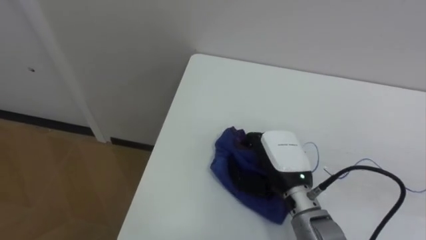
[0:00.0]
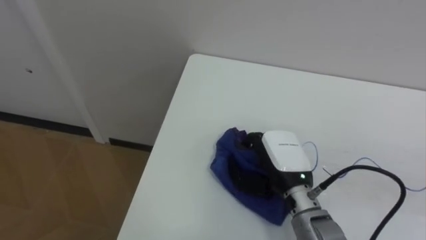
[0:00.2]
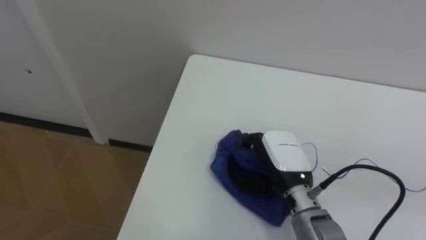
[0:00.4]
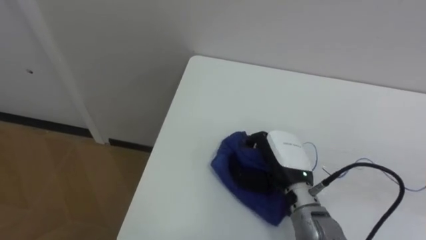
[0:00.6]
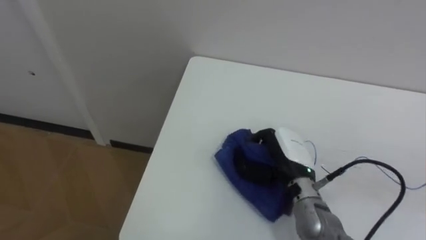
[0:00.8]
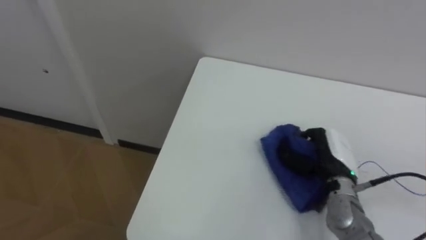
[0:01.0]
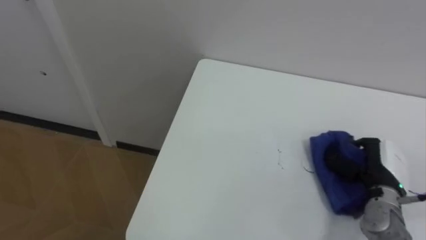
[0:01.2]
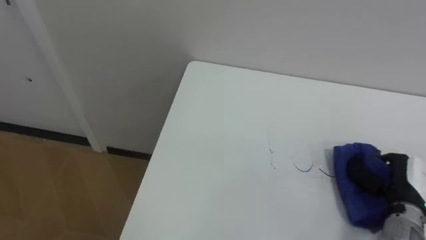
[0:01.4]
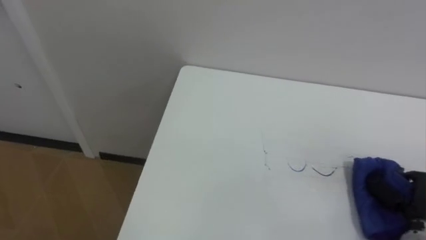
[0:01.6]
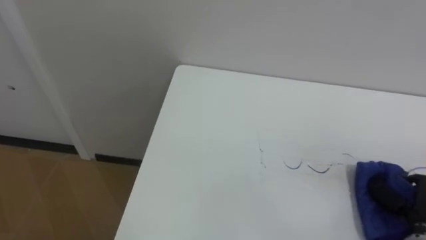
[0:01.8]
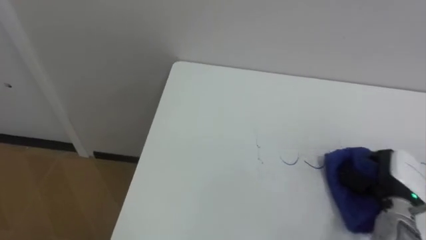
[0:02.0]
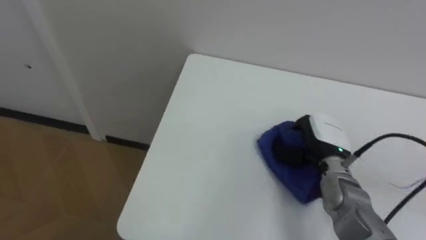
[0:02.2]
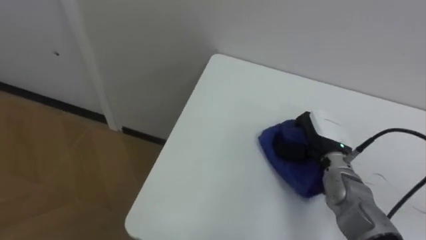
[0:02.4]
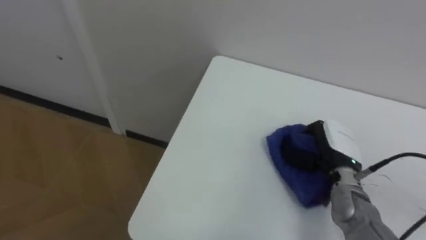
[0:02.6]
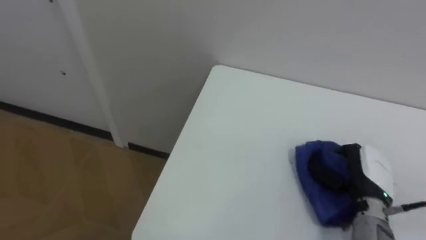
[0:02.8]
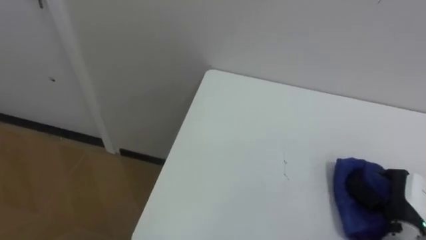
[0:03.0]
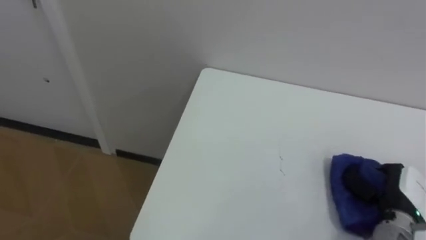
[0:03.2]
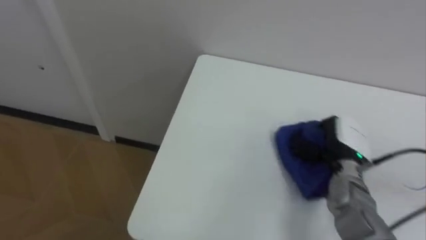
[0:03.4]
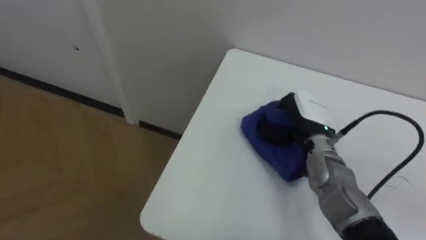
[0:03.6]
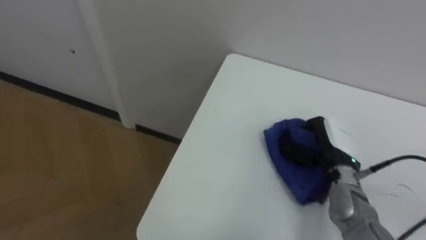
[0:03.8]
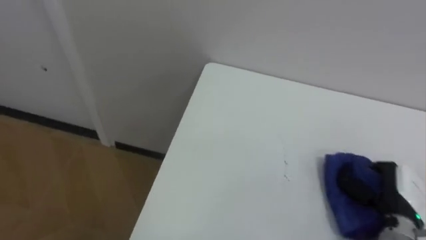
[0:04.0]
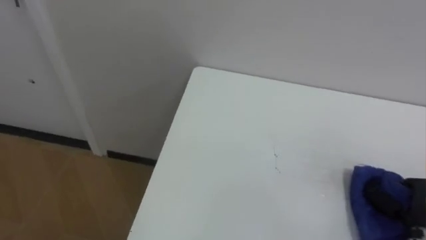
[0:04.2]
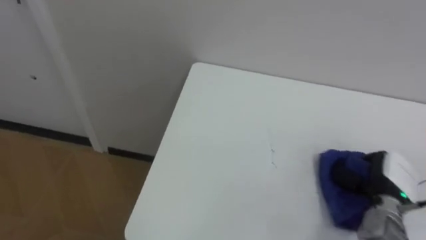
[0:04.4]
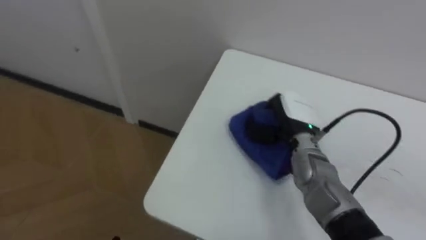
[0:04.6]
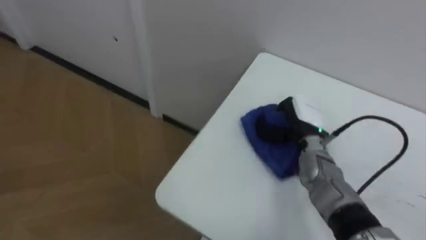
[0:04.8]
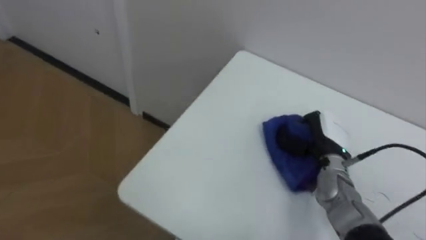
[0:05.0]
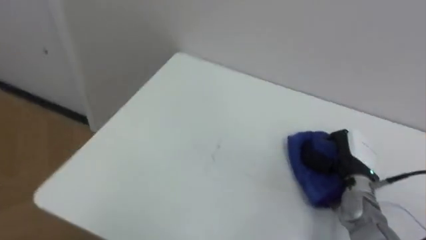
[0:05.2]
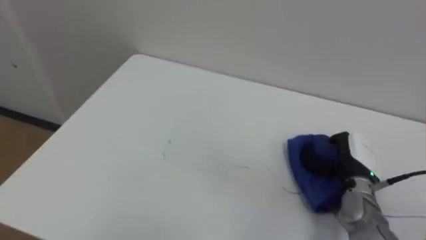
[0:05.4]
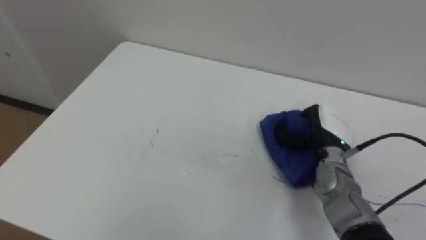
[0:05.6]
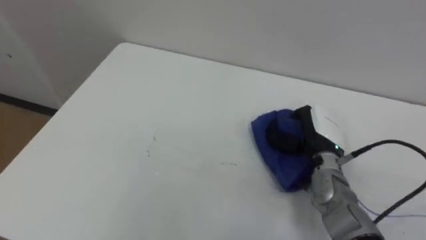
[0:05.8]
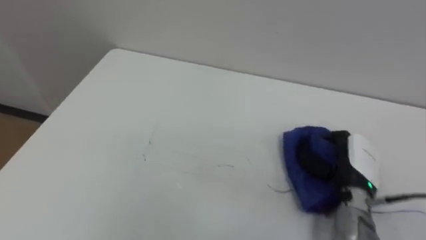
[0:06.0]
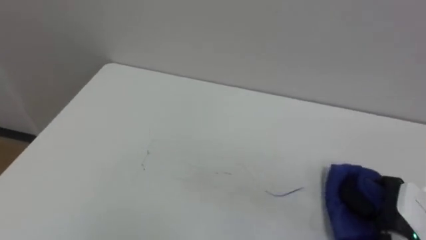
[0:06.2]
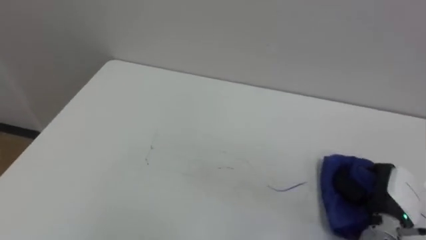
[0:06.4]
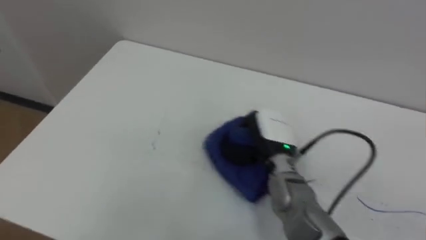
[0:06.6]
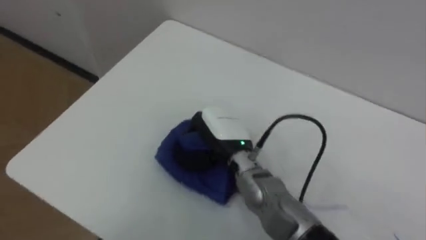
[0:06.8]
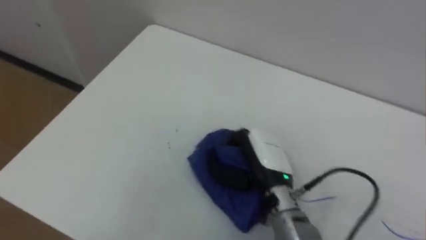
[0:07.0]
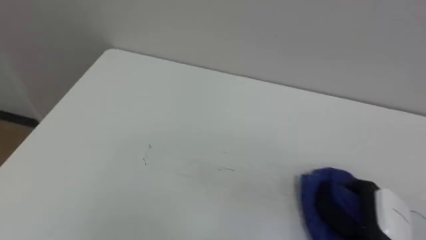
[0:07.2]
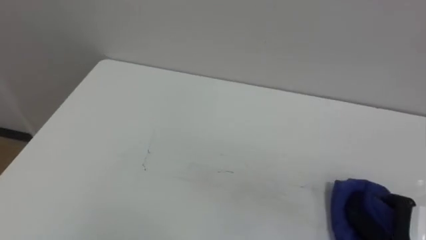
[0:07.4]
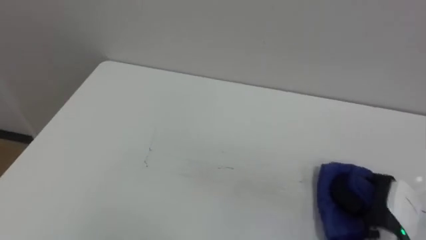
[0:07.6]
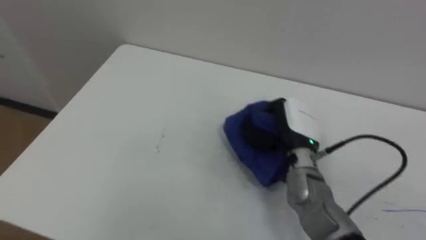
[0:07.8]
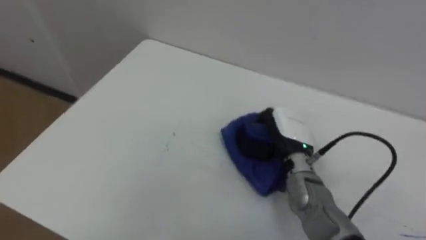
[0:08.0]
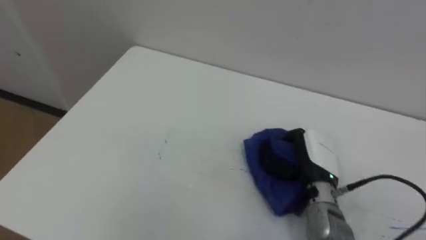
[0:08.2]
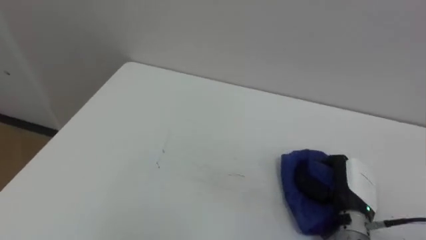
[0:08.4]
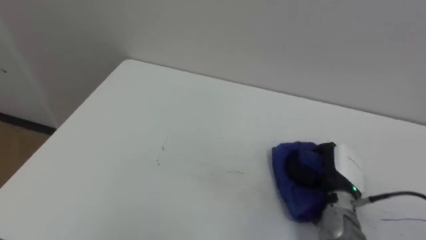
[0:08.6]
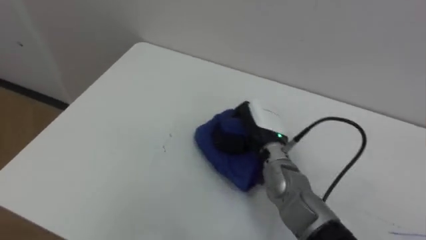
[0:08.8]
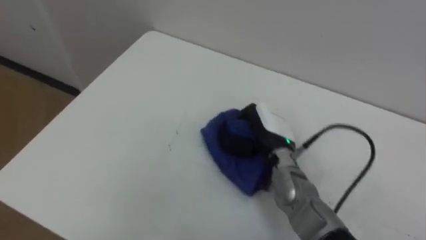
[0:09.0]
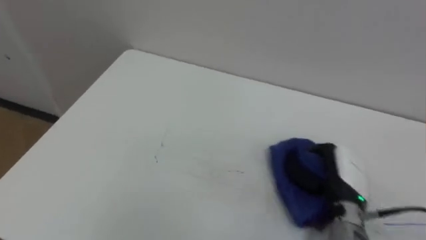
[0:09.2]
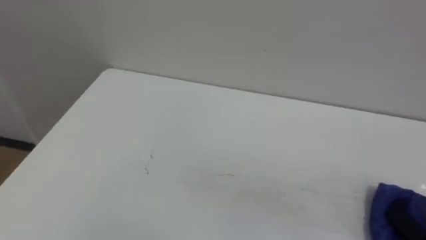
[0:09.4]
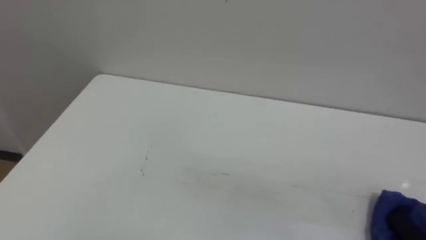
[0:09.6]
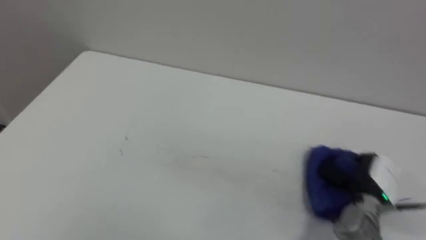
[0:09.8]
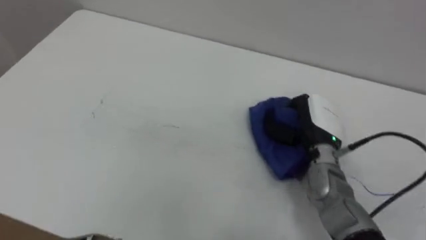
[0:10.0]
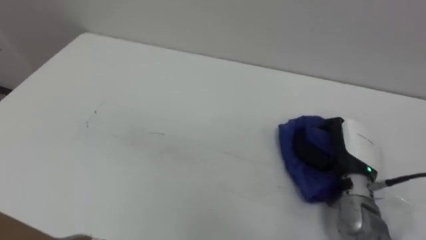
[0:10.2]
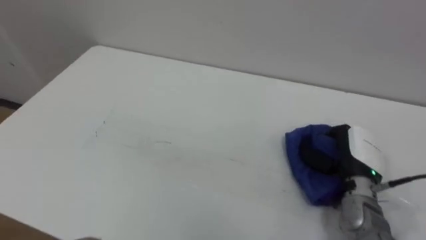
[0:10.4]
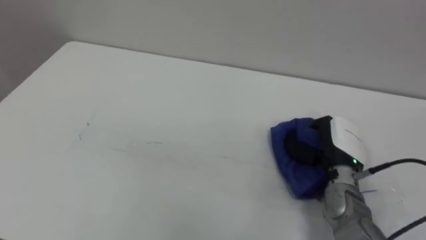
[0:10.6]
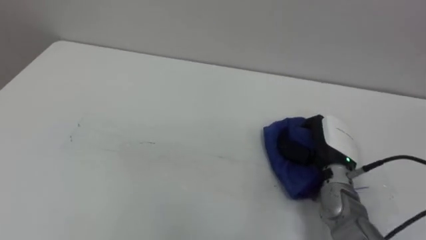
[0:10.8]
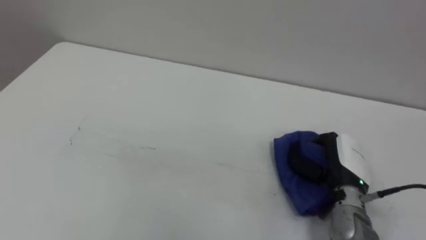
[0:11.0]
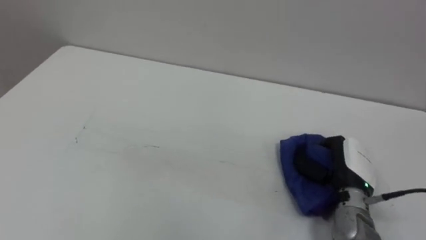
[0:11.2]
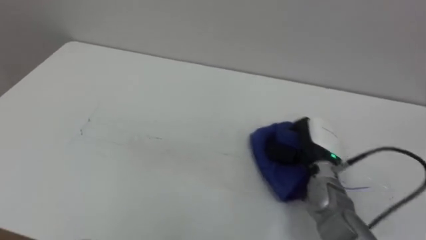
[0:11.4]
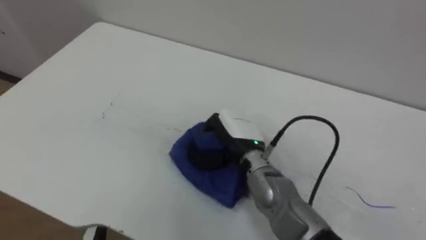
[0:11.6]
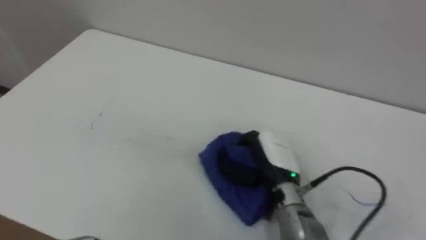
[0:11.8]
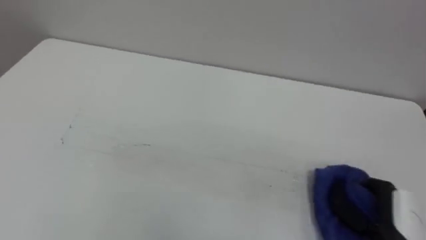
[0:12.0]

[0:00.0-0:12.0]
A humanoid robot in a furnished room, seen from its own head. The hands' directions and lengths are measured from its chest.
Task of the whole recording: Wipe the blue pen marks off the table with the rag.
0:00.0 to 0:01.6: The right hand goes approximately 25 cm to the right.
0:01.6 to 0:03.0: The right hand goes to the left and returns, some 20 cm each way.
0:03.0 to 0:04.4: The right hand moves left and right over approximately 20 cm, changing direction 2 times.
0:04.4 to 0:06.0: The right hand goes left and right, roughly 15 cm each way, reversing 3 times.
0:06.0 to 0:07.6: The right hand moves left and right over approximately 30 cm, changing direction 2 times.
0:07.6 to 0:09.0: The right hand goes left and right, roughly 20 cm each way, reversing 2 times.
0:10.4 to 0:12.0: The right hand heads backward, covering some 10 cm, and reaches some 20 cm to the left, then returns.

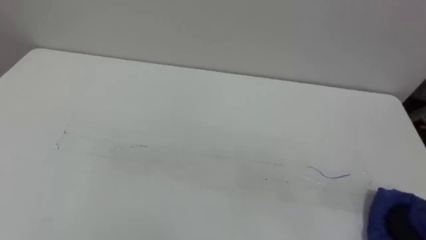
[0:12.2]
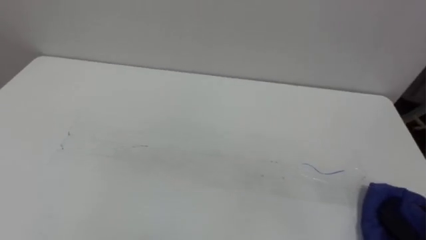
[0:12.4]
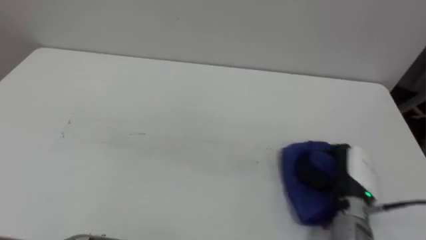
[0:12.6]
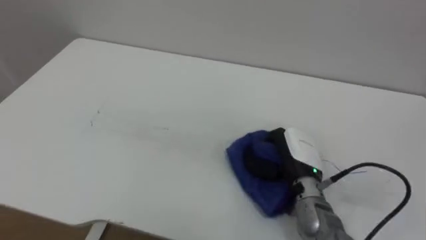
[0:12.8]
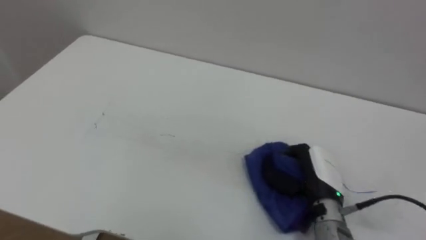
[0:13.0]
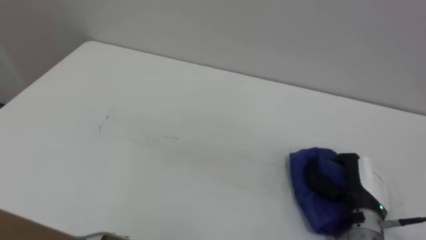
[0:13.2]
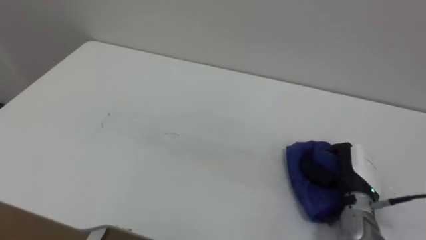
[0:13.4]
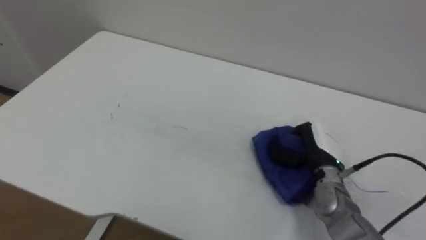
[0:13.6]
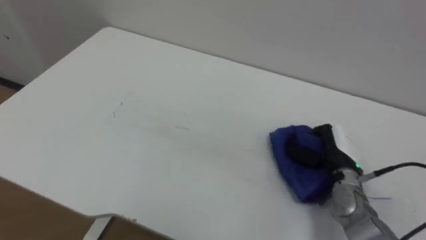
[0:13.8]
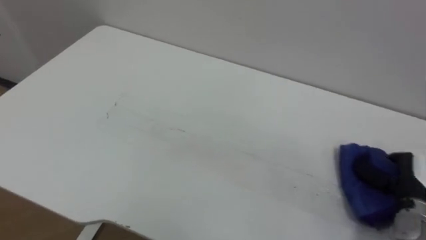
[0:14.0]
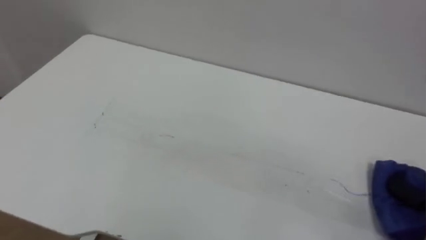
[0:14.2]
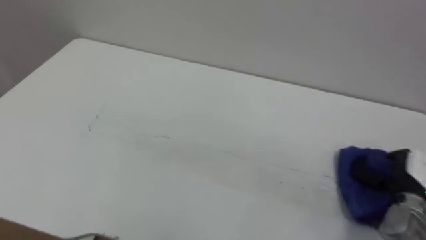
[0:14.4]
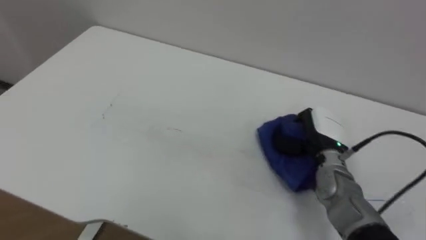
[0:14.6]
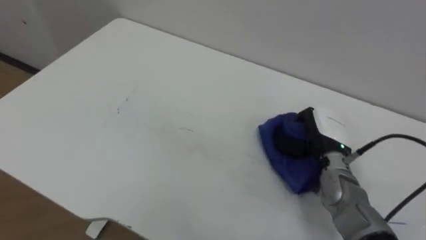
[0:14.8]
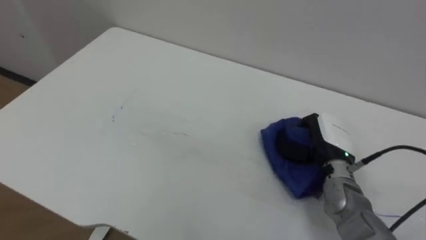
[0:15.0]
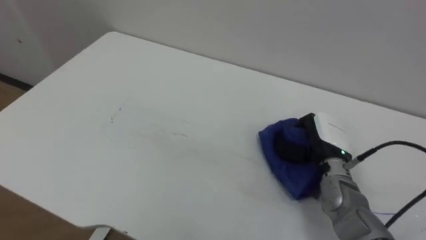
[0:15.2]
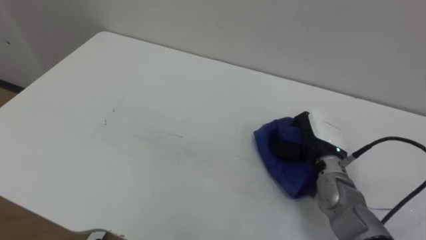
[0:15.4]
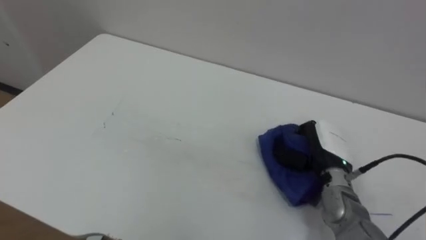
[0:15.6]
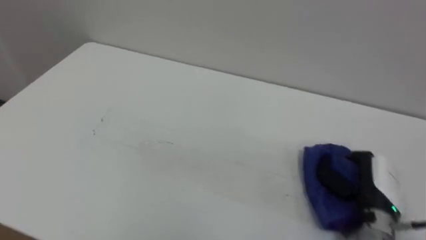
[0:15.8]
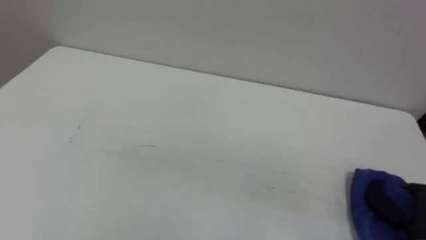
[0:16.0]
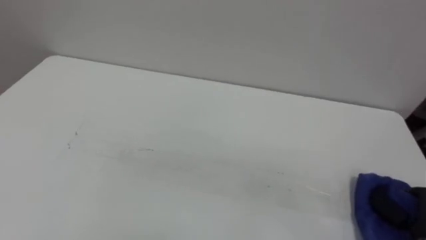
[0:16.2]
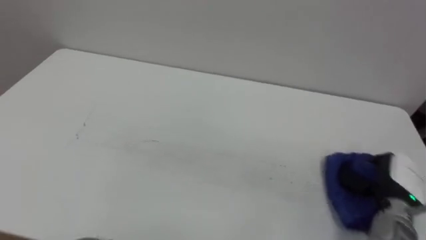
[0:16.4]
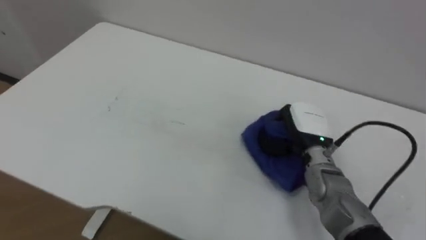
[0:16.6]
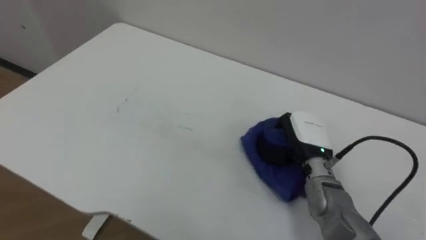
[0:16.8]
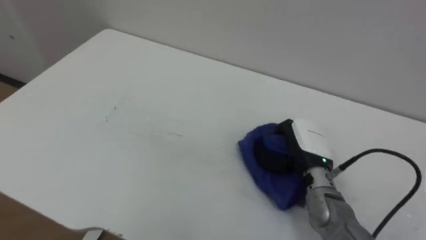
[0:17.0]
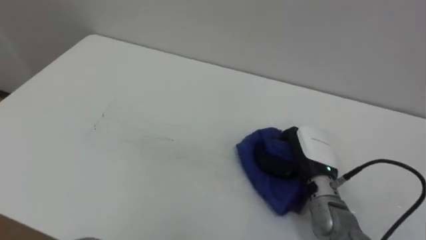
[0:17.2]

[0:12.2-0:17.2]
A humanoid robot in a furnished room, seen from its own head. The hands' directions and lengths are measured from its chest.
Task of the whole recording: Wipe the blue pen marks off the table with the rag.
0:15.6 to 0:17.2: The right hand moves about 15 cm to the right and comes back.
